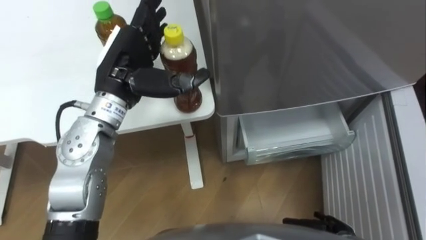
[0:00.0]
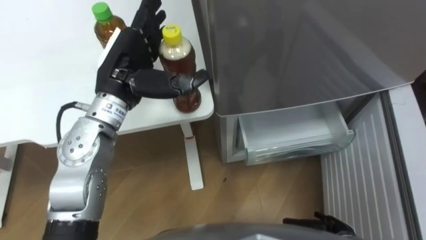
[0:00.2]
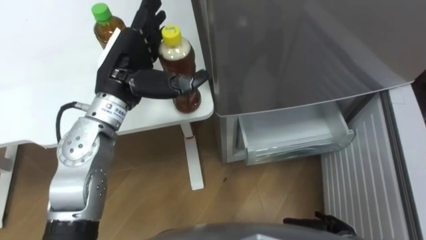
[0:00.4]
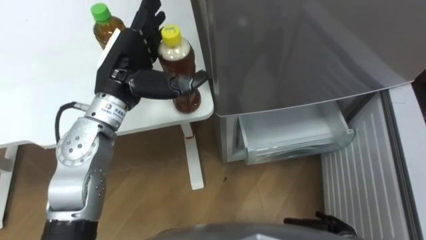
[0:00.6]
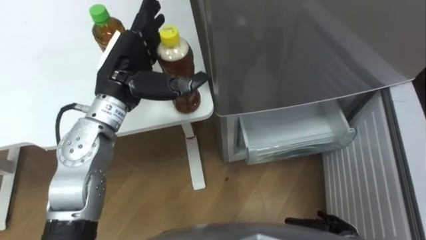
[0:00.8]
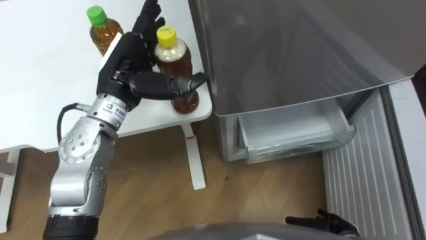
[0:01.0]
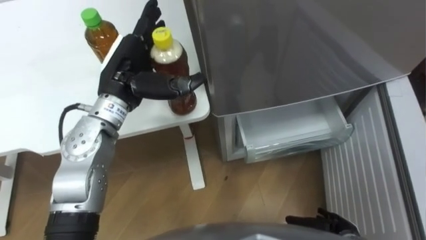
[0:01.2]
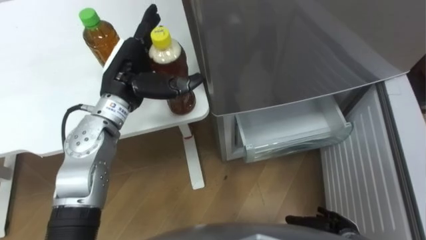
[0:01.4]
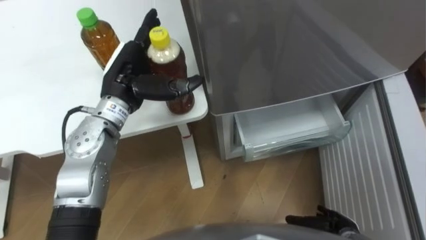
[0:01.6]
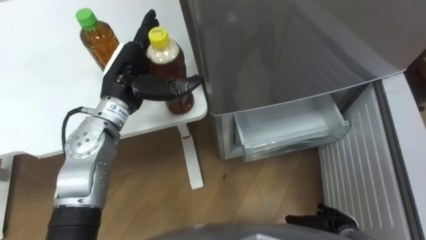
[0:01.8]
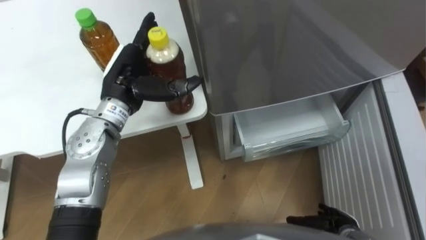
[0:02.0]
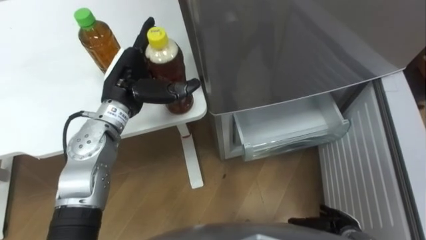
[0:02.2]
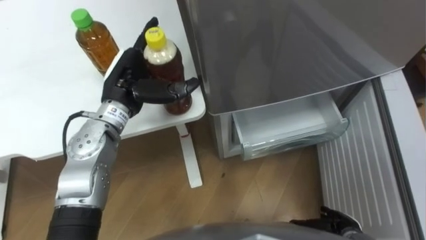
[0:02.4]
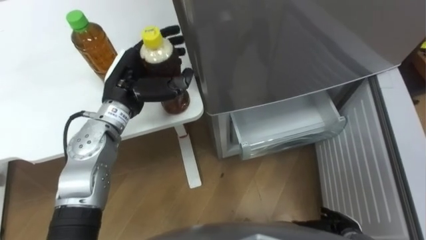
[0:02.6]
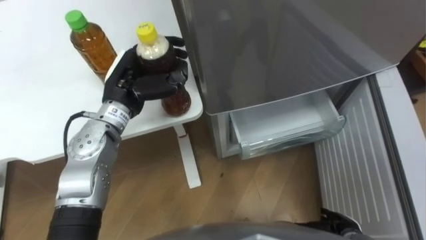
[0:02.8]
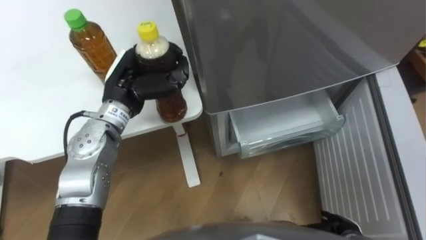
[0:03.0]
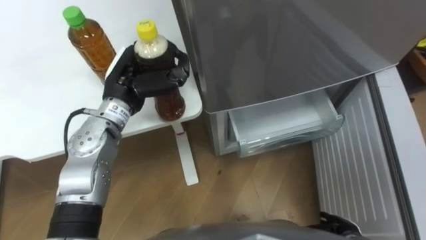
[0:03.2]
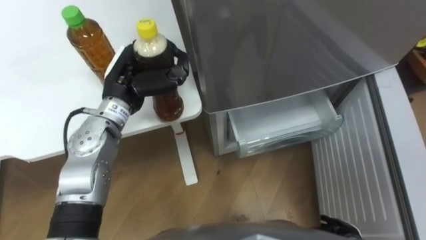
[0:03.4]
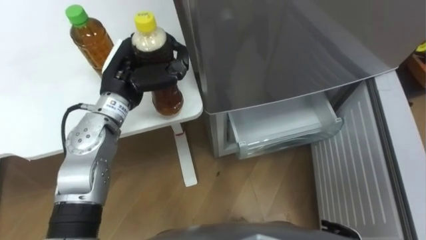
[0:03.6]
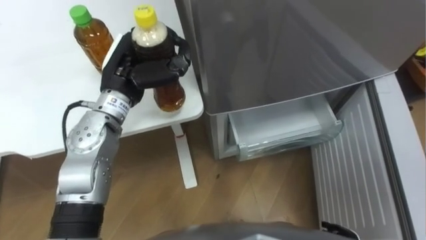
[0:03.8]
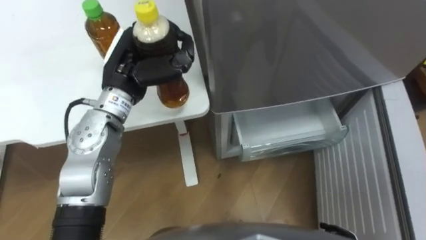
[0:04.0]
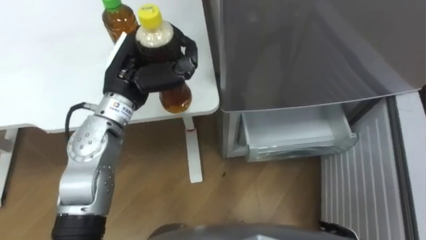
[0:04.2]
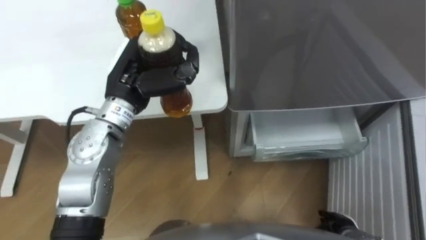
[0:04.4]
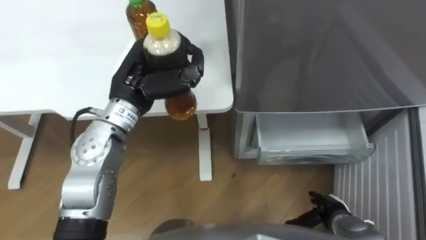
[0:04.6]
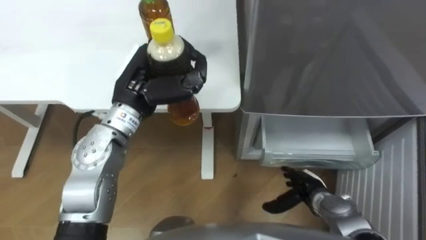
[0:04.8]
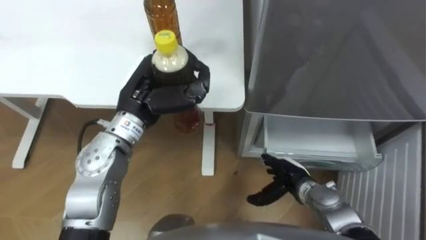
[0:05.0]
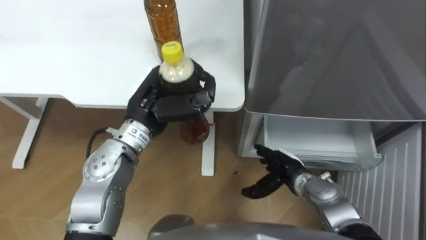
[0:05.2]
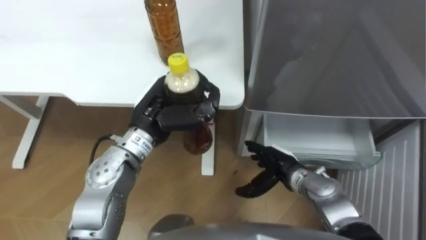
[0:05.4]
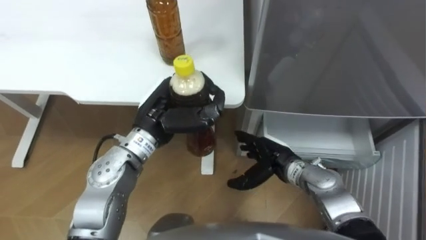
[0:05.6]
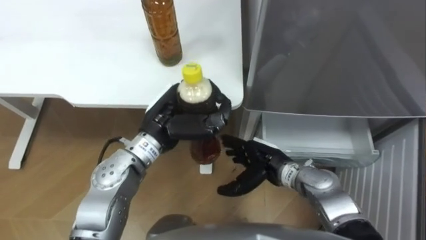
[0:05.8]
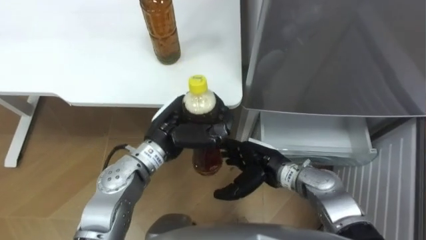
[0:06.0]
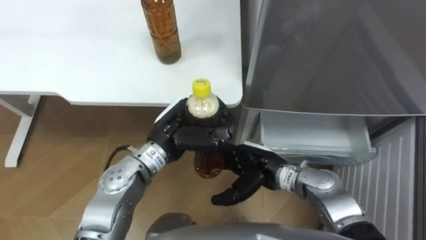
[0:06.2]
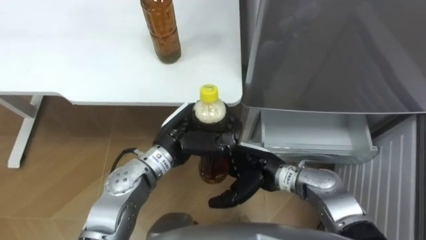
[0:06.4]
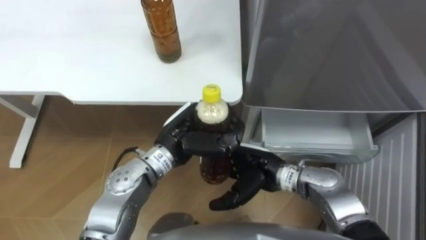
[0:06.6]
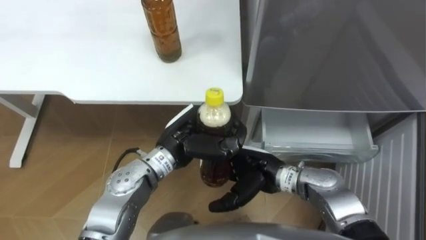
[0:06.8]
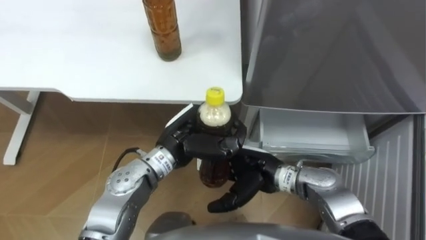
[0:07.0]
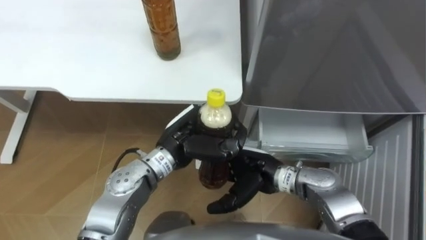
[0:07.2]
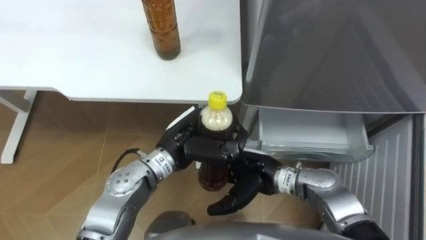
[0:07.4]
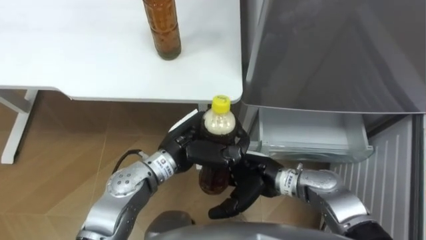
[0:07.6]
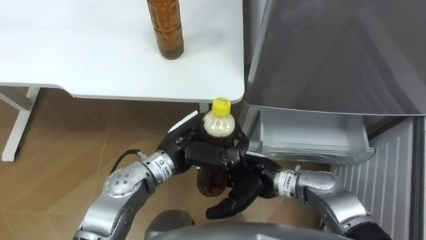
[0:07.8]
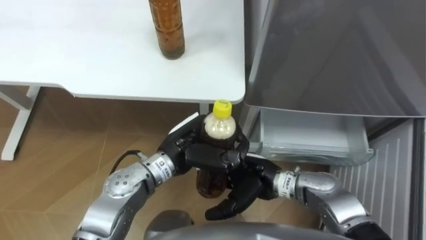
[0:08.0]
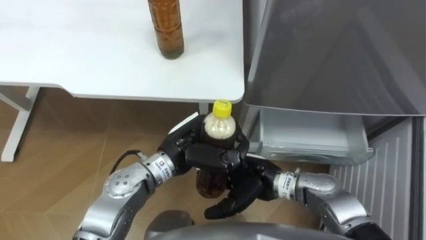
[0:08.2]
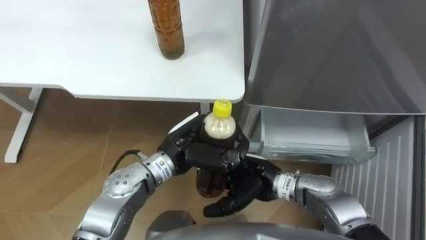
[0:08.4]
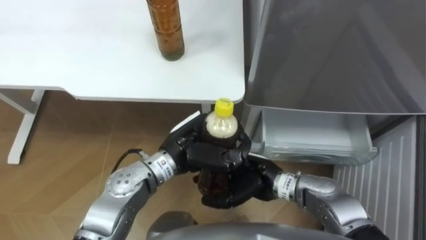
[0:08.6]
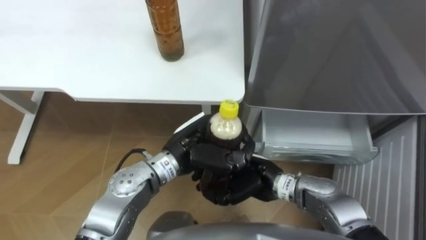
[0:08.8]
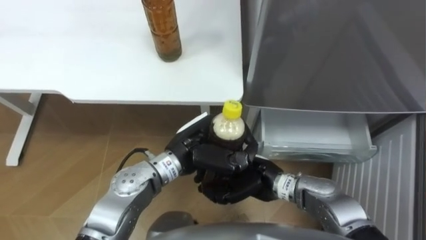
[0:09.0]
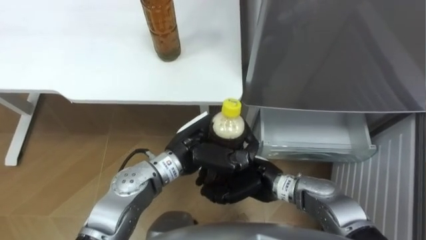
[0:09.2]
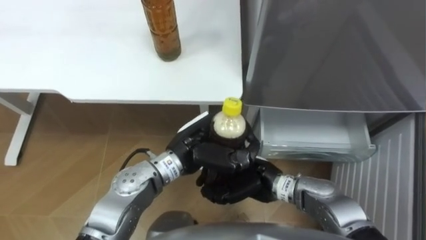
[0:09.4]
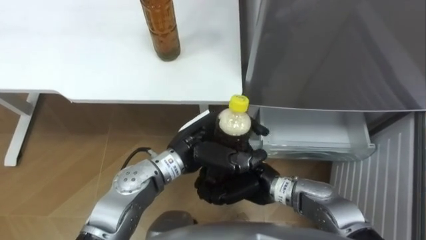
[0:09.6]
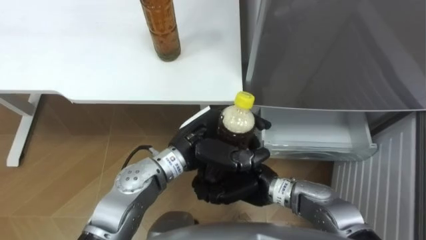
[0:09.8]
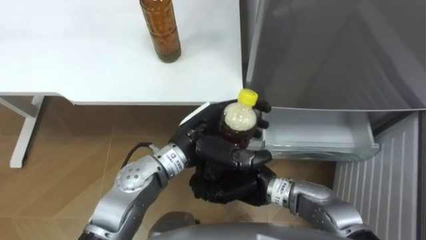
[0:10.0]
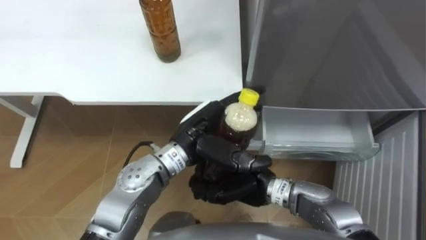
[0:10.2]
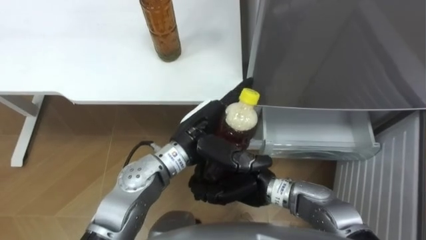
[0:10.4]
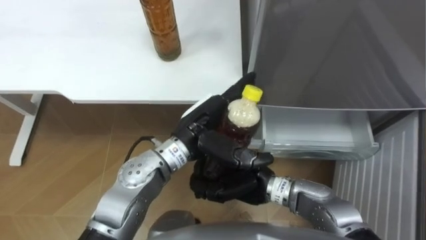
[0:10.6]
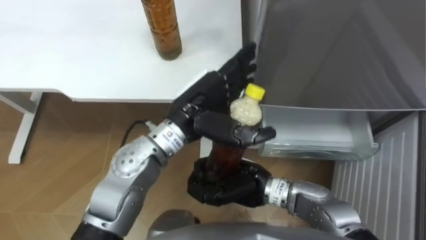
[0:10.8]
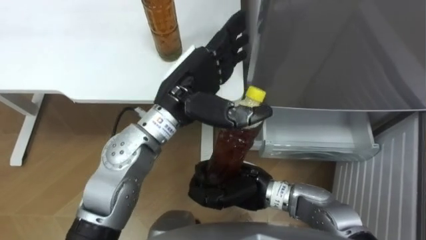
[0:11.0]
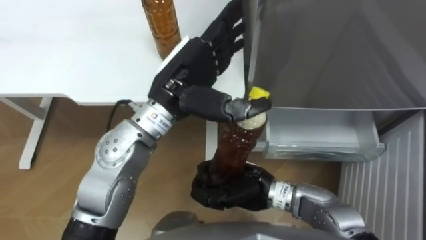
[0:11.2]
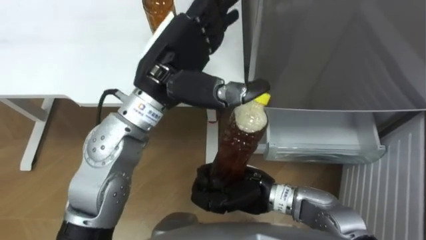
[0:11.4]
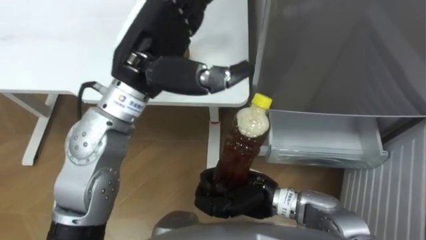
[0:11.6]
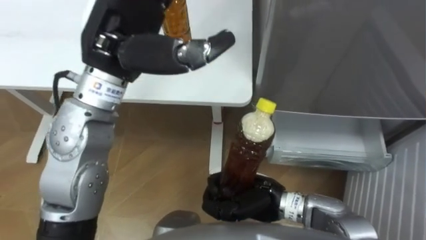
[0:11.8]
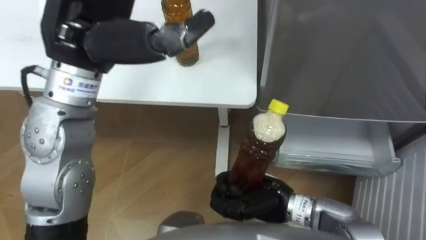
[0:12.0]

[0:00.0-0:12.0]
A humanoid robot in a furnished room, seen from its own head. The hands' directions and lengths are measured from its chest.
Task of the whole recording: Place the drink on the table on the bottom shelf of the refrigerator, then close the drawer and the refrigerator door.
0:01.6 to 0:03.0: The left hand closes up.
0:04.4 to 0:06.0: The left hand shifts approximately 10 cm downward, to the right and backward. Meanwhile the right hand moves to the left, forward and upward, about 25 cm.
0:07.6 to 0:09.0: The right hand closes up.
0:09.0 to 0:10.4: The left hand opens up.
0:10.4 to 0:12.0: The left hand moves upward and to the left, approximately 25 cm.

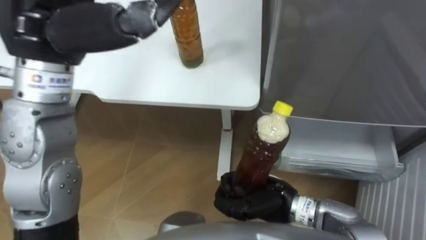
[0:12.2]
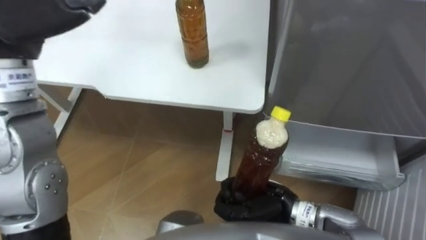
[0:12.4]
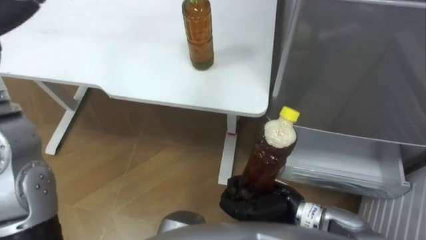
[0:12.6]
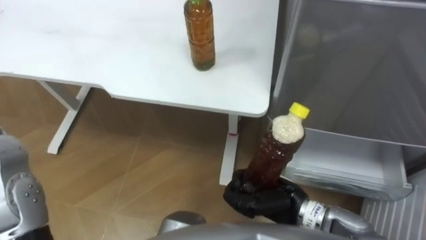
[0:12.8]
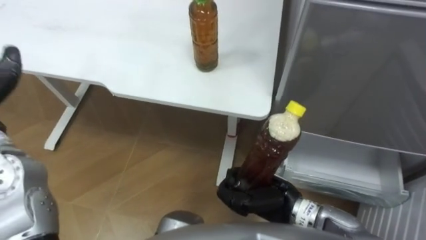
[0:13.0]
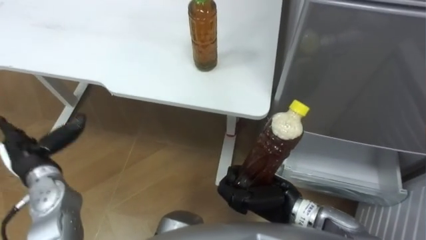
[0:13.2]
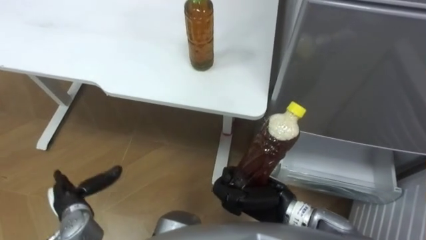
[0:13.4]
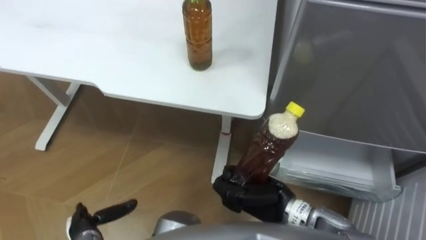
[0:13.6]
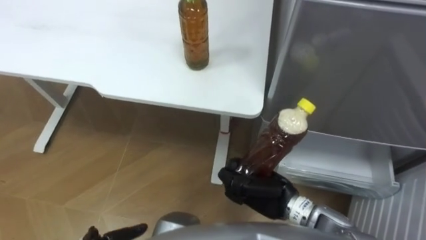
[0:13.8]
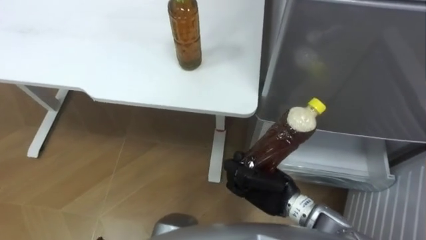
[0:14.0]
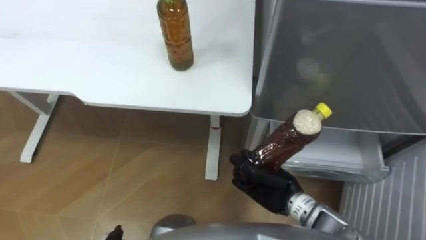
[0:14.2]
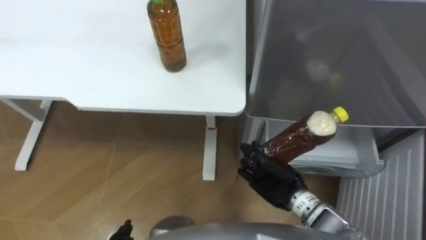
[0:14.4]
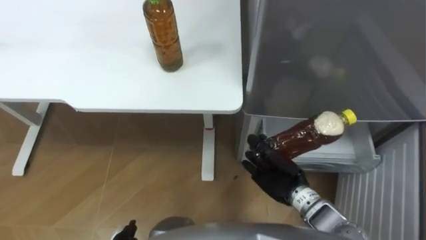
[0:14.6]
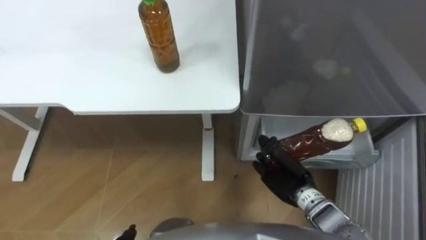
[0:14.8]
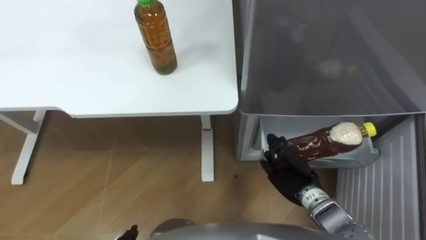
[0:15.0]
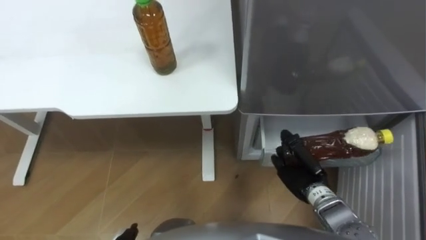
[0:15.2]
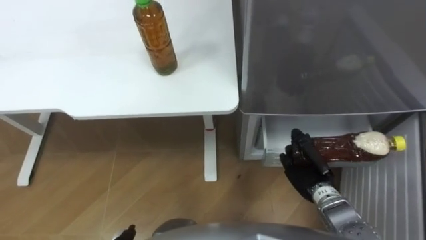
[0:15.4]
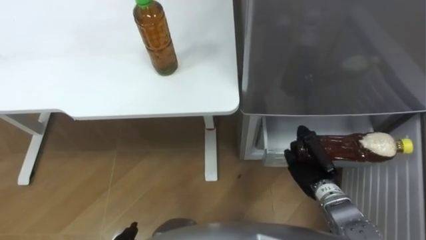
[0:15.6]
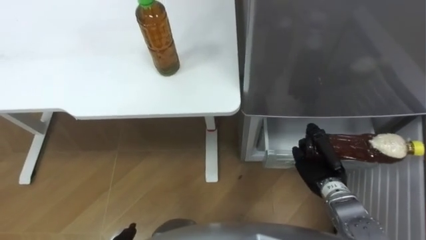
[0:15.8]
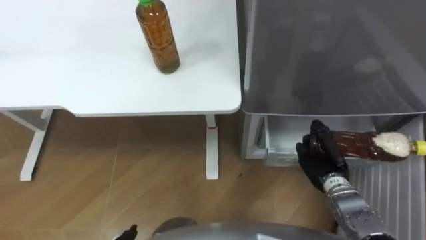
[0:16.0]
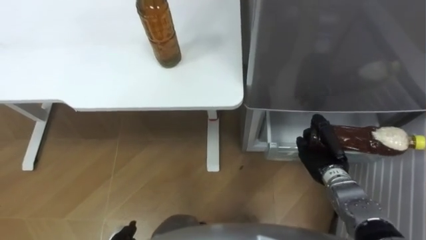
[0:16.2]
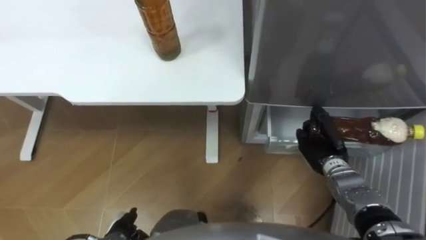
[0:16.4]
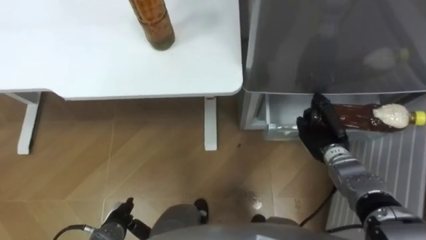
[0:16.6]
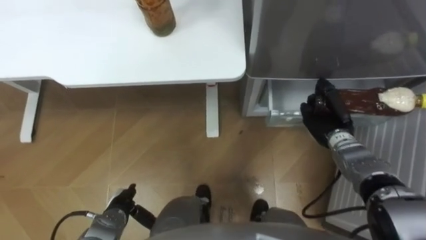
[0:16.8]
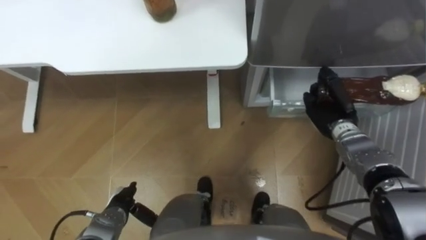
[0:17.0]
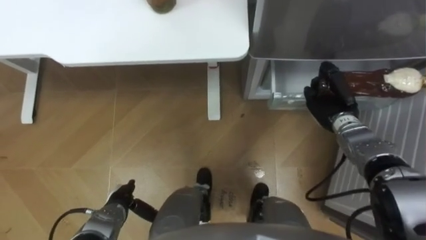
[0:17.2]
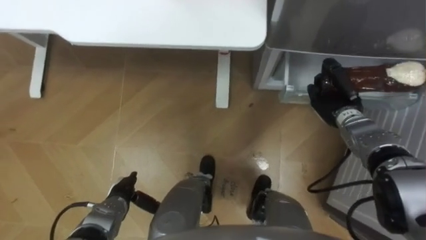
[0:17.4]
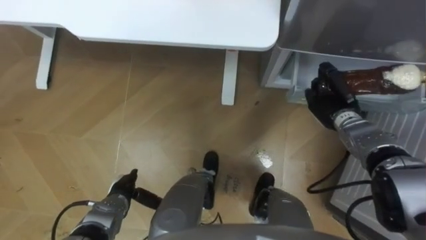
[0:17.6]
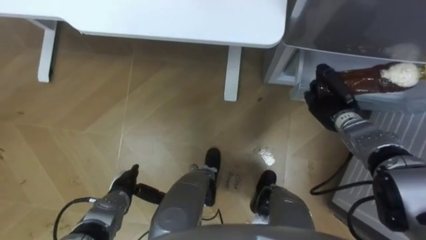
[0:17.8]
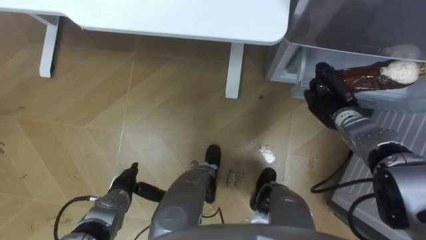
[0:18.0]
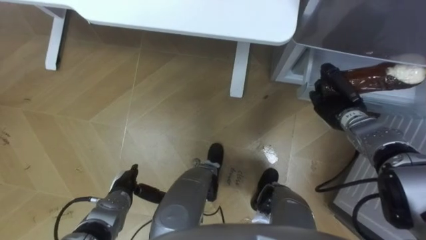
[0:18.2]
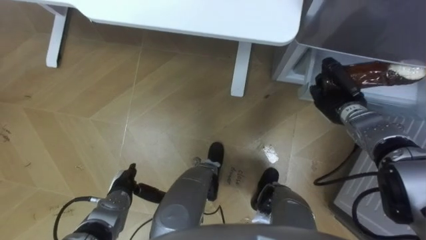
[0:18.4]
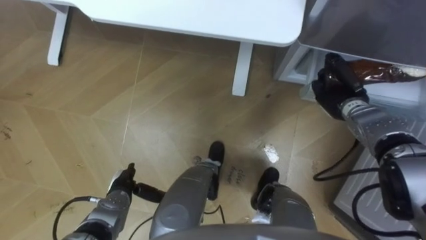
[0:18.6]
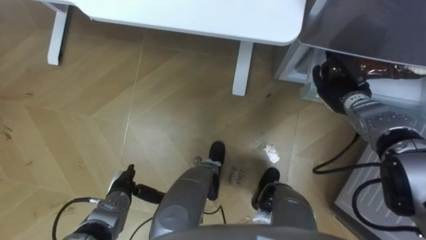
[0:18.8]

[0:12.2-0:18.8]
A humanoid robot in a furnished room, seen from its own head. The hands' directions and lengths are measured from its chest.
Task of the whole recording: Place the drink on the table on the bottom shelf of the refrigerator, then close the drawer and the refrigerator door.
0:13.8 to 0:15.4: The right hand shifts some 10 cm to the right and downward.
0:15.4 to 0:17.2: The right hand moves forward, about 15 cm.
